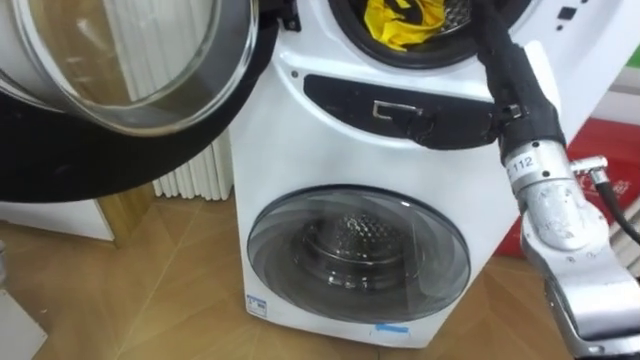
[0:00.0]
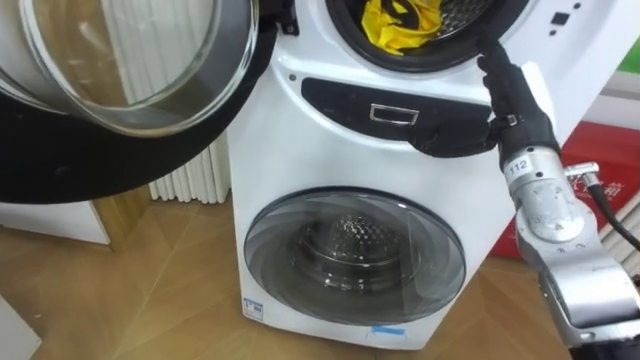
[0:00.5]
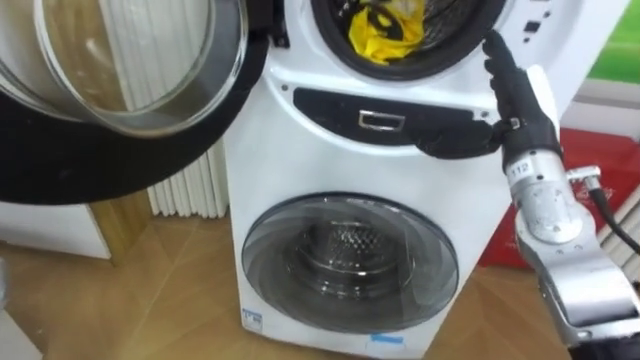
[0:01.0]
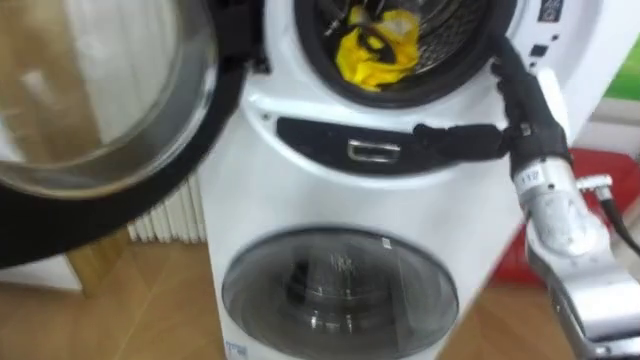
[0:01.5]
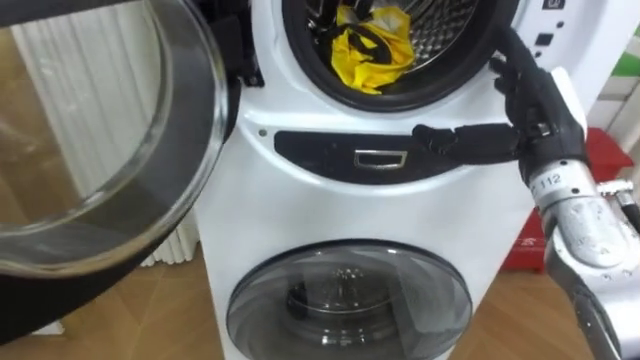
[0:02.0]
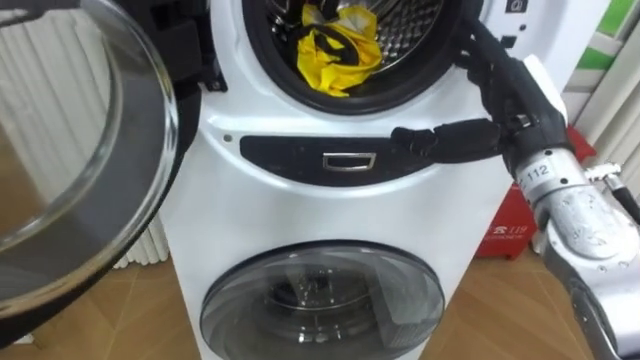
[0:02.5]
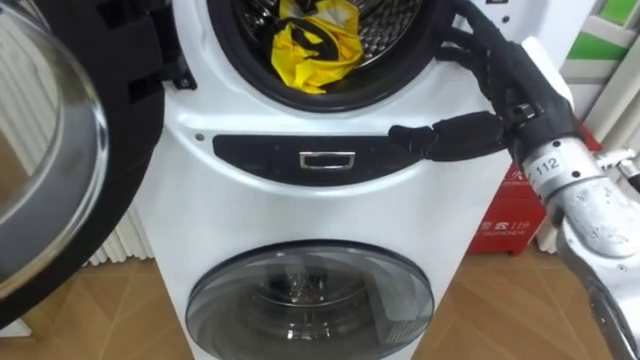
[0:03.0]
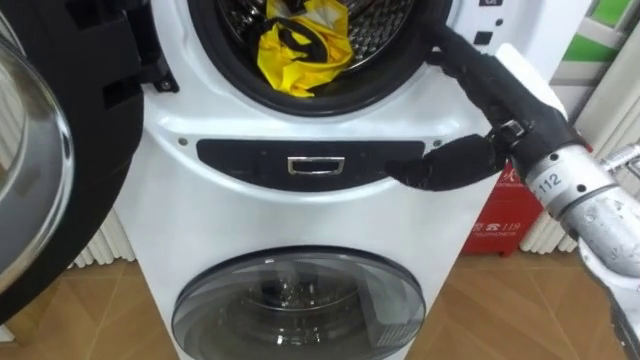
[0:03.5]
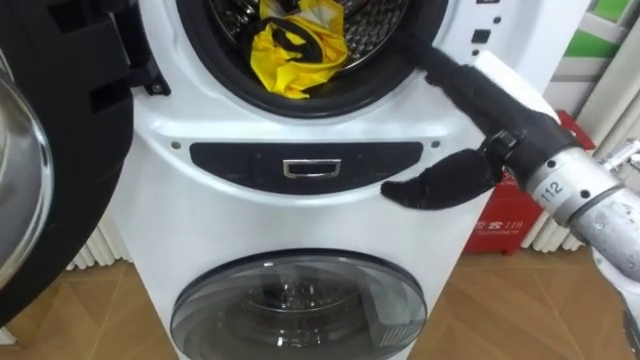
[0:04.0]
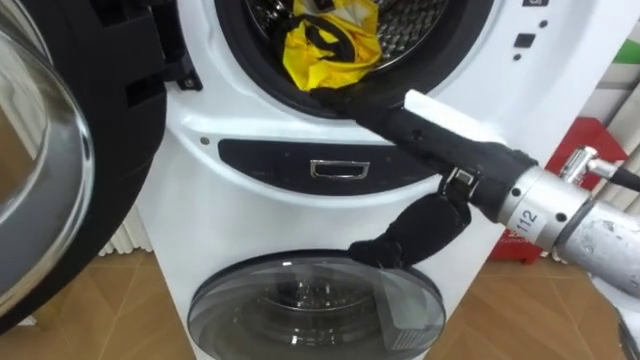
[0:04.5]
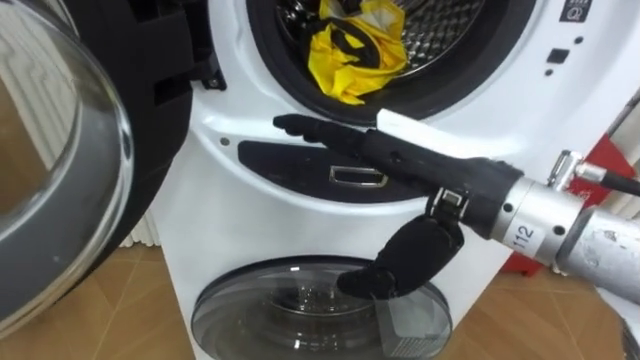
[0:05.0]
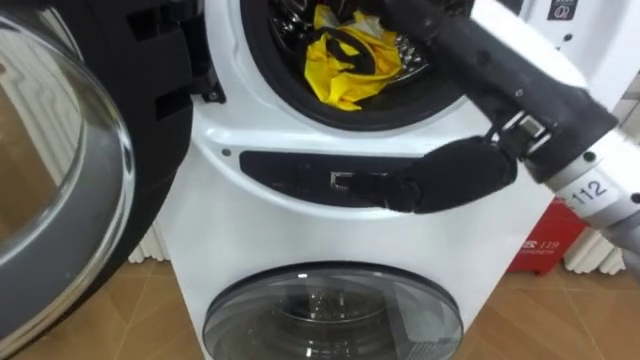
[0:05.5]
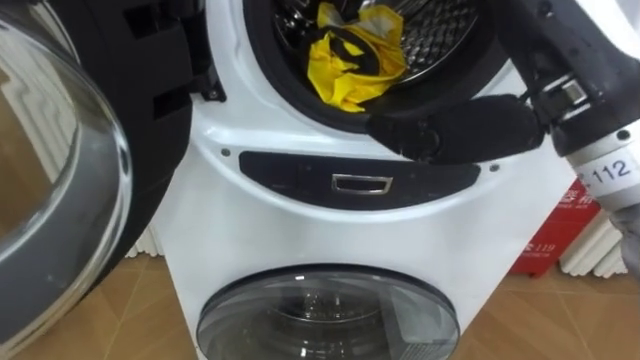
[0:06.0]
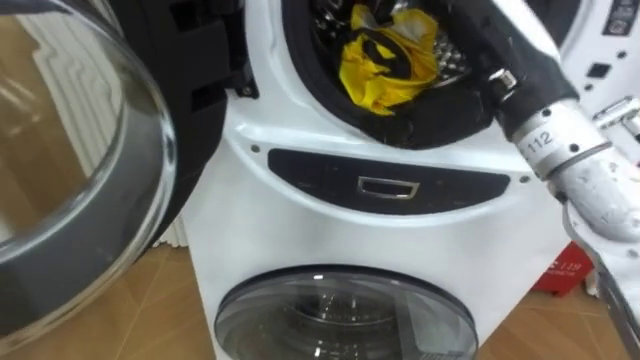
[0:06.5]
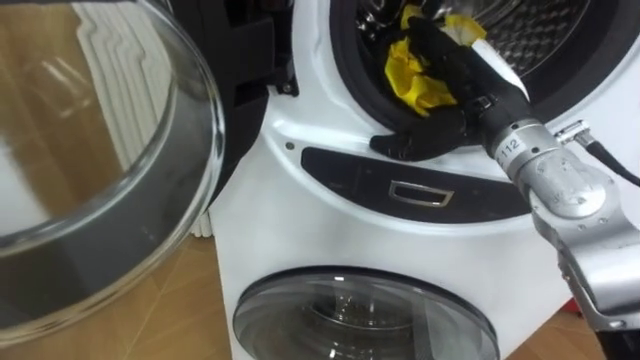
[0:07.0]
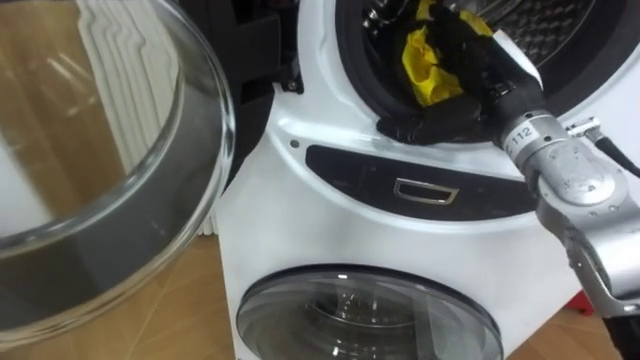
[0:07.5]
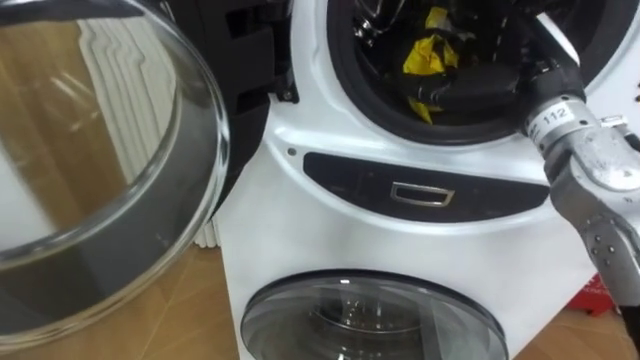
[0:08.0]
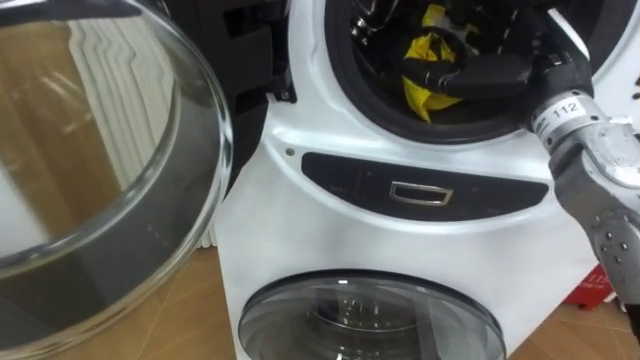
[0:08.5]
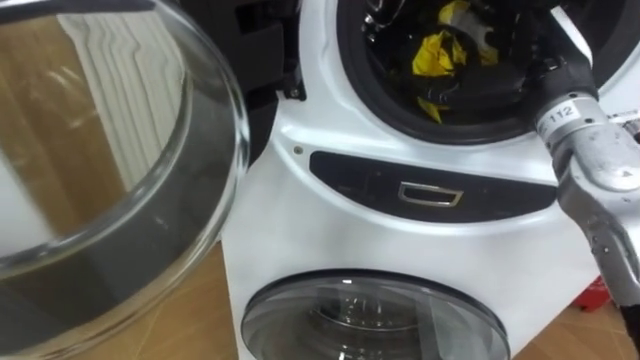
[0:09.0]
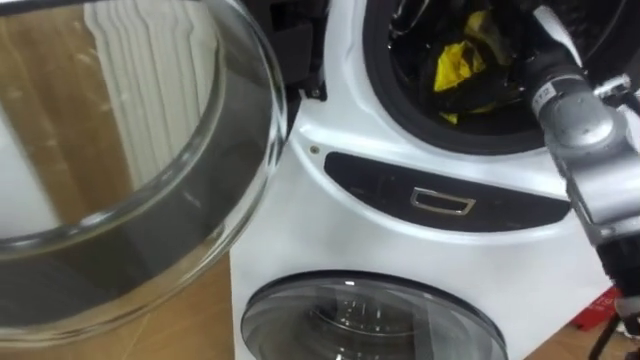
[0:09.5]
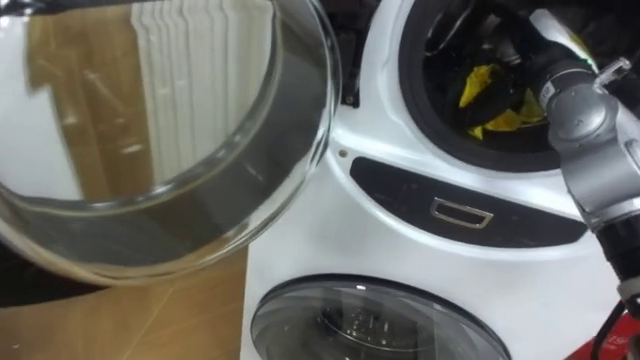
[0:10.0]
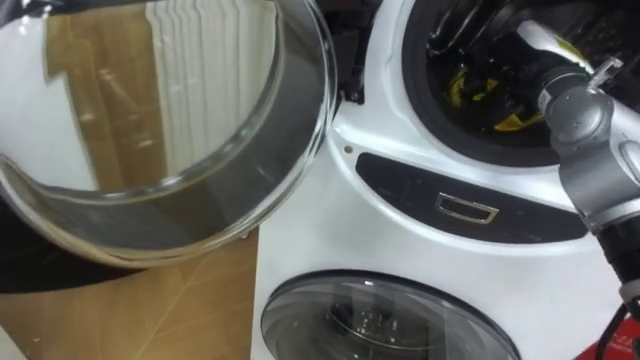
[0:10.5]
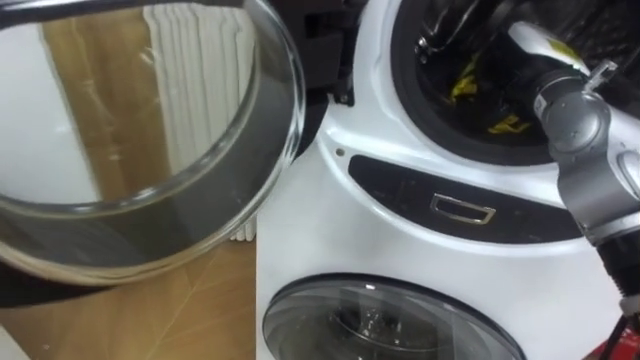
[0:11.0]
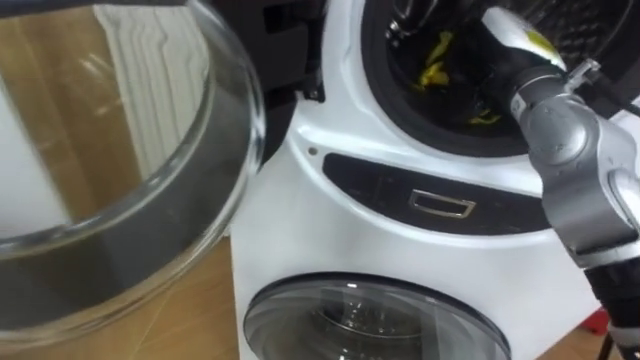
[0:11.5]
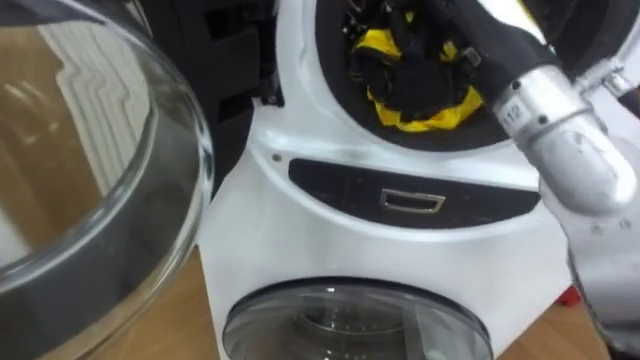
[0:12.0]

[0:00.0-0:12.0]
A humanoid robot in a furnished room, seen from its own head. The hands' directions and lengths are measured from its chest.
Task of the whole recording: Open the washing machine door, take out the yellow clothes, place them in the box on the right, and close the washing machine door.
0:02.0 to 0:04.0: The right hand is displaced to the left by some 5 cm.
0:04.0 to 0:06.0: The right hand heads upward, covering roughly 10 cm.
0:06.0 to 0:08.0: The right hand moves forward and downward, approximately 15 cm.
0:08.0 to 0:10.0: The right hand heads forward, covering approximately 5 cm.
0:10.0 to 0:12.0: The right hand shifts roughly 15 cm to the left, backward and upward, and closes.

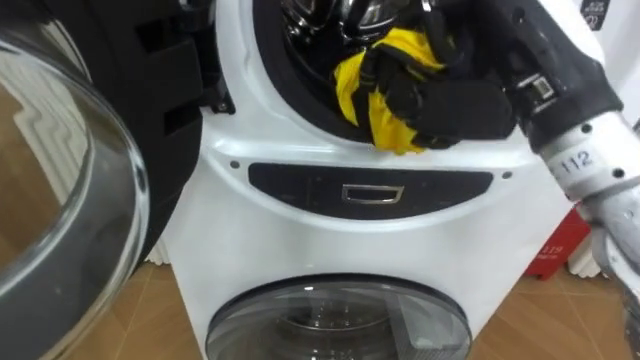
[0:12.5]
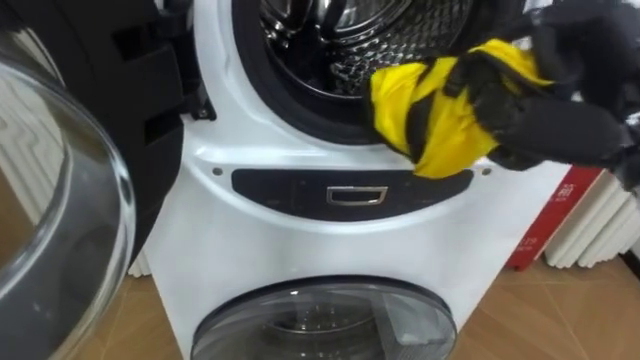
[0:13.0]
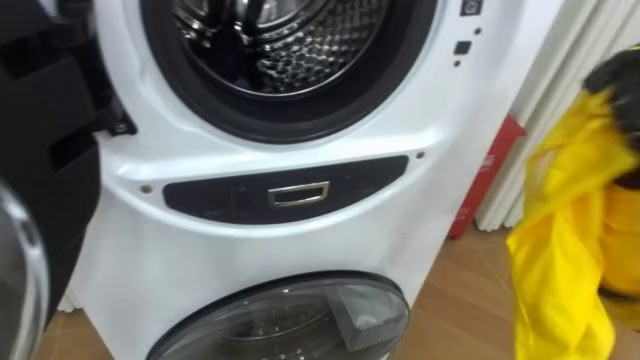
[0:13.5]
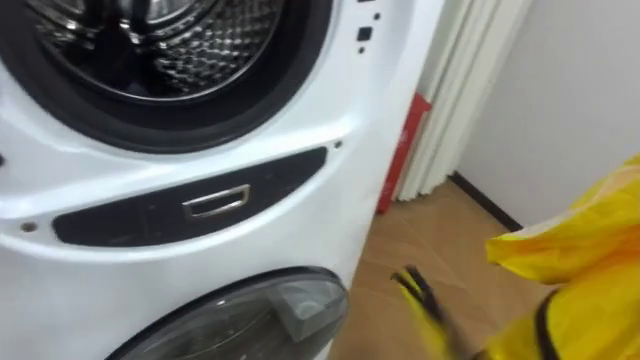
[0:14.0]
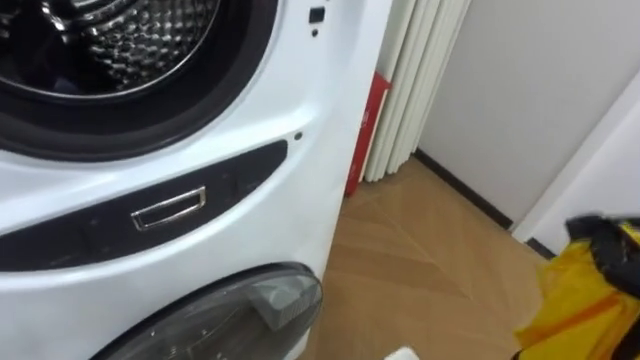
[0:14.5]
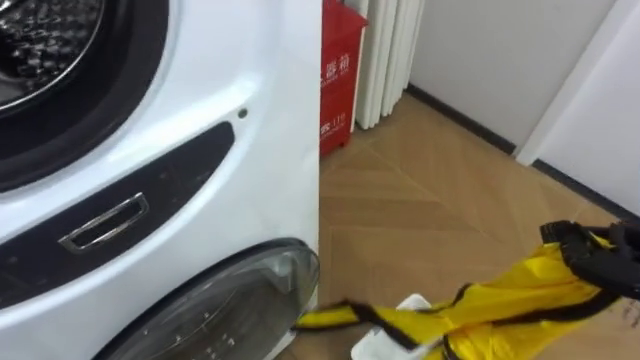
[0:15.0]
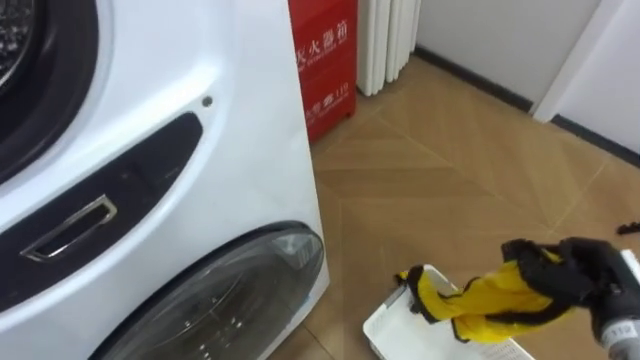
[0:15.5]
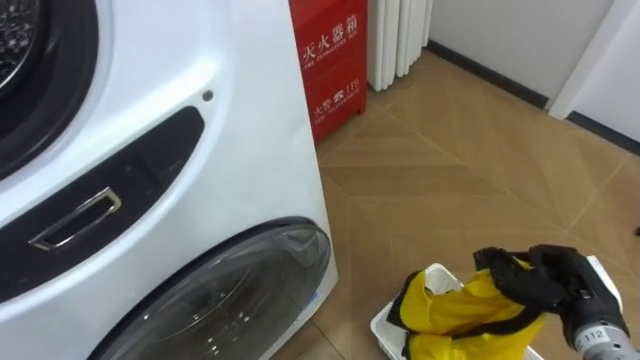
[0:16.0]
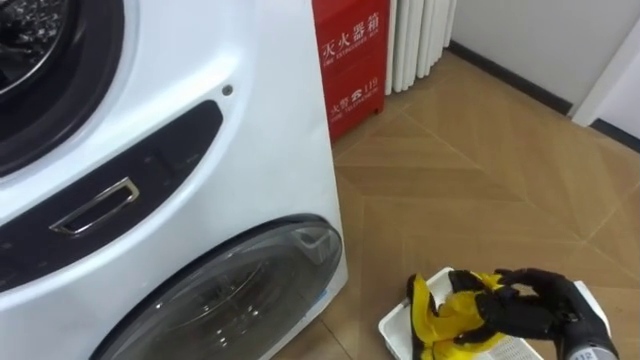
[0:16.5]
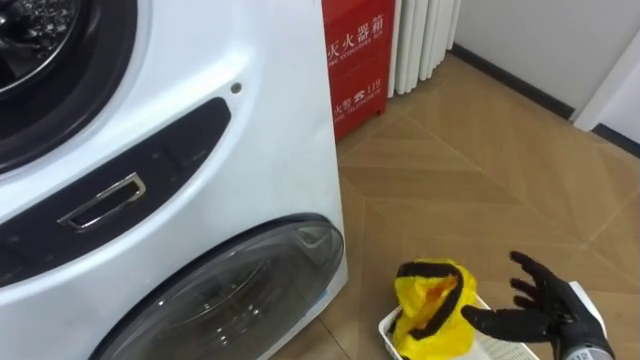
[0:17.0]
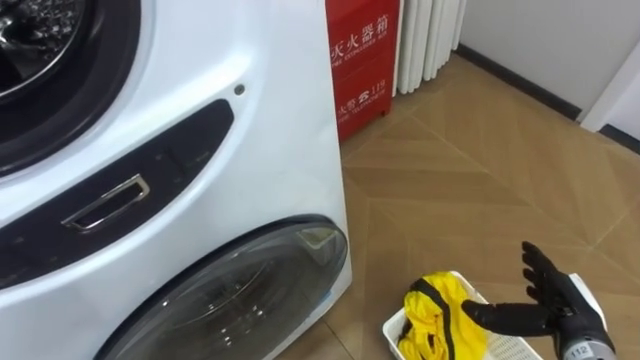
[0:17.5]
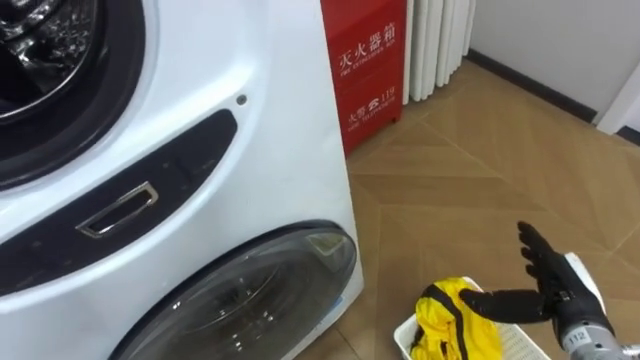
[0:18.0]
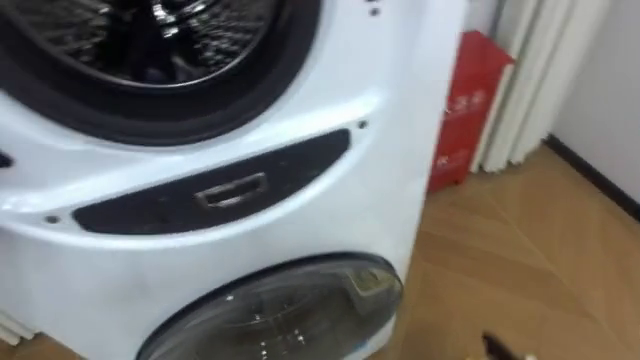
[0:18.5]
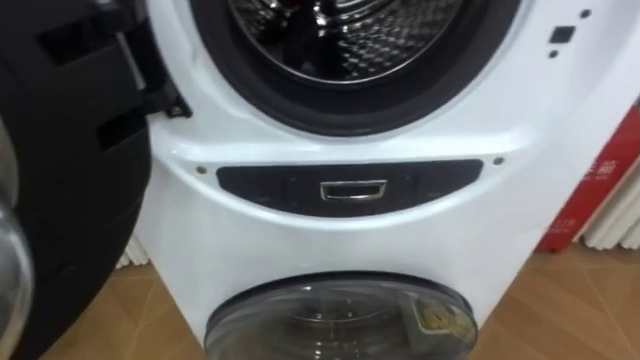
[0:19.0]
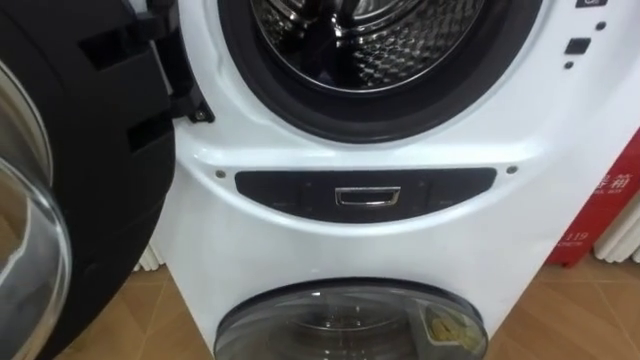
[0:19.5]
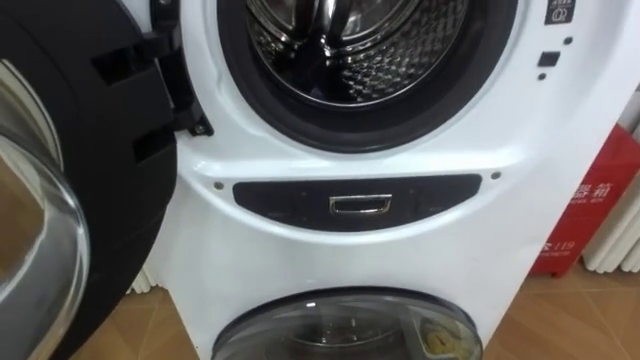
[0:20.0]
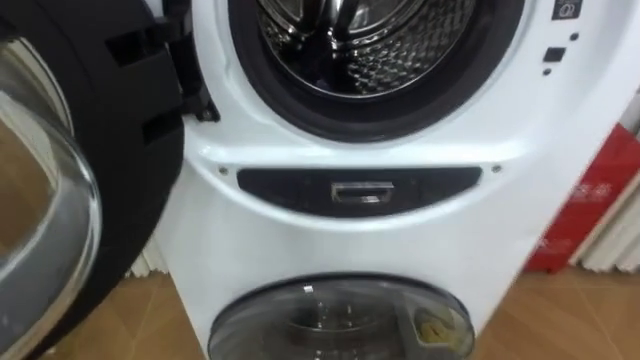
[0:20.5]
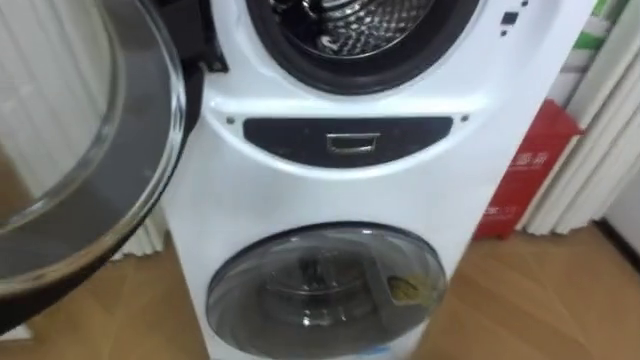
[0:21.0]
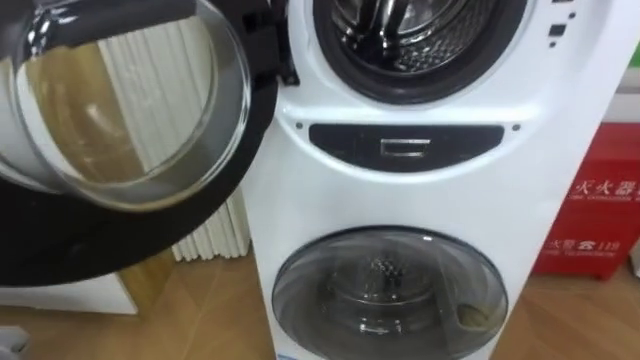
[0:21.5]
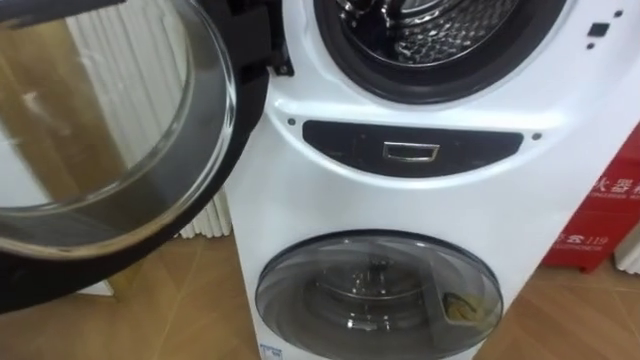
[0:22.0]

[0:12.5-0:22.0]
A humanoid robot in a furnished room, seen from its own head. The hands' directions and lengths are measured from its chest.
Task of the whole recording: Open the washing machine door, take out the yellow clothes, place them in the box on the right, and close the washing machine door.
0:12.5 to 0:14.5: The robot rotates about 25 degrees to its right.
0:16.5 to 0:18.0: The right hand opens.
